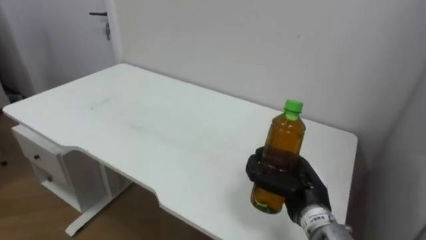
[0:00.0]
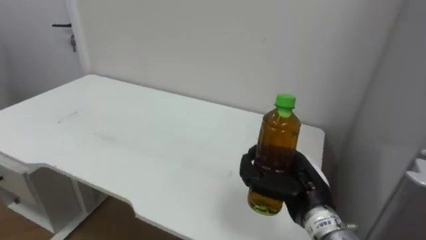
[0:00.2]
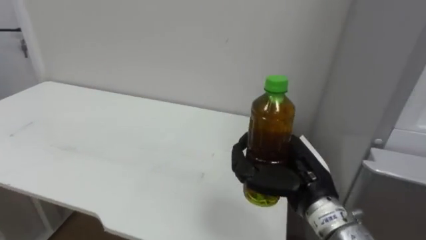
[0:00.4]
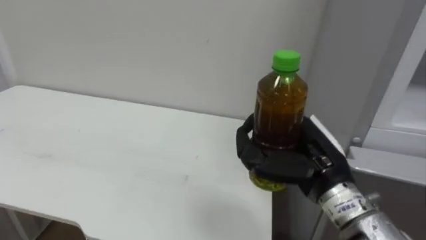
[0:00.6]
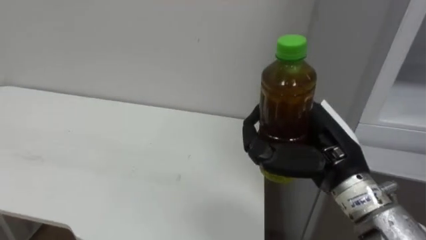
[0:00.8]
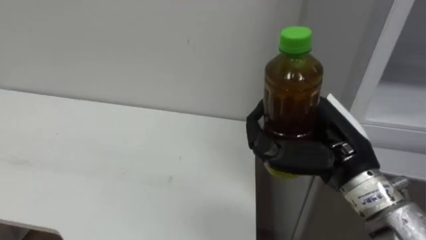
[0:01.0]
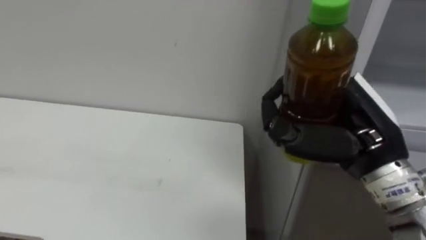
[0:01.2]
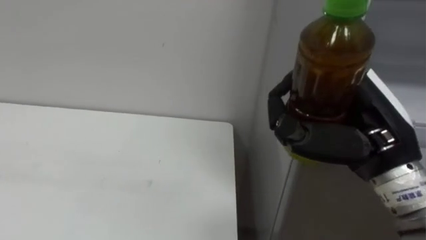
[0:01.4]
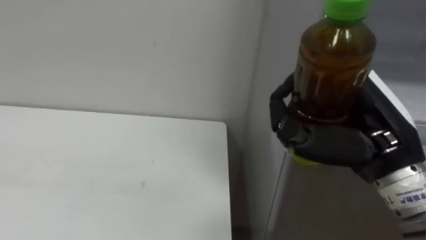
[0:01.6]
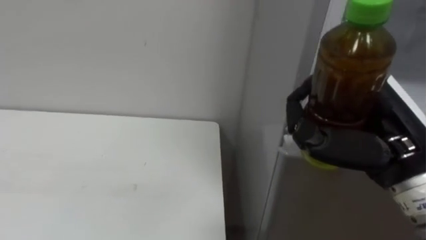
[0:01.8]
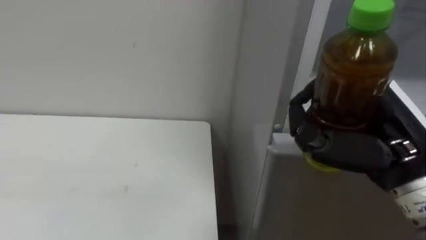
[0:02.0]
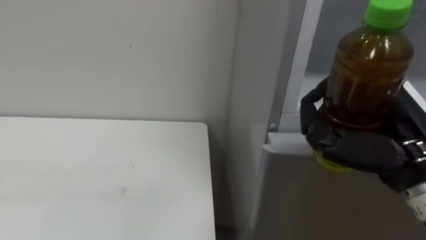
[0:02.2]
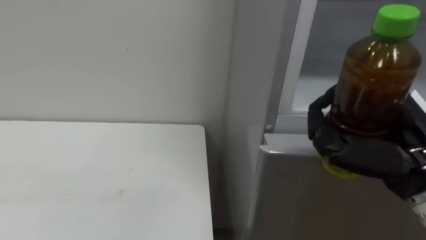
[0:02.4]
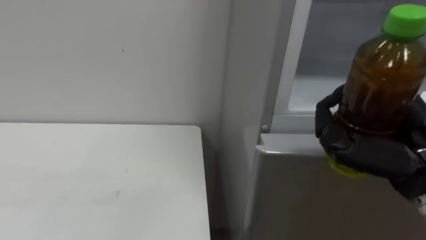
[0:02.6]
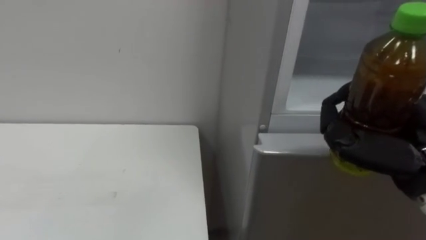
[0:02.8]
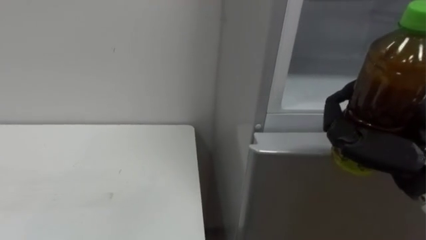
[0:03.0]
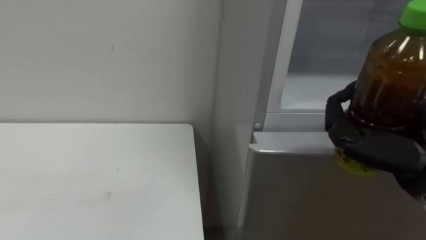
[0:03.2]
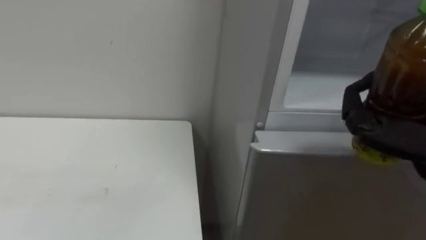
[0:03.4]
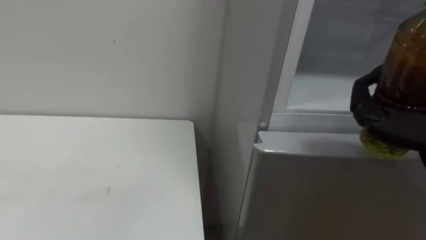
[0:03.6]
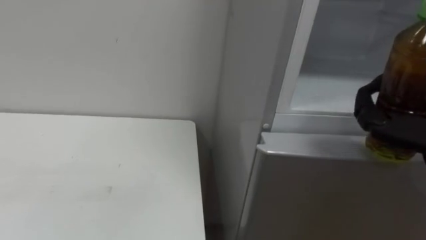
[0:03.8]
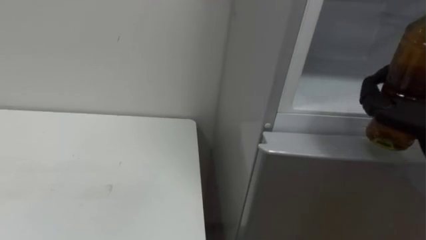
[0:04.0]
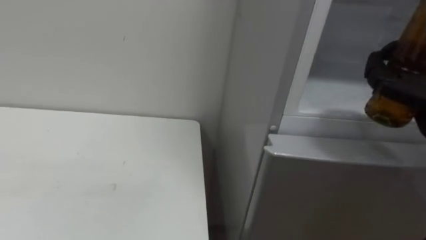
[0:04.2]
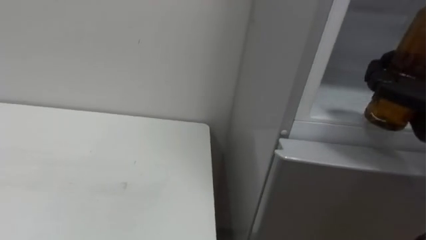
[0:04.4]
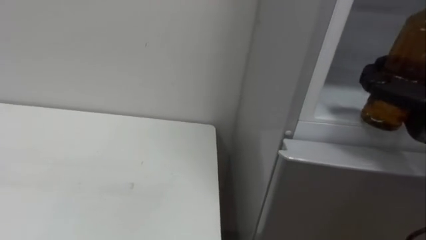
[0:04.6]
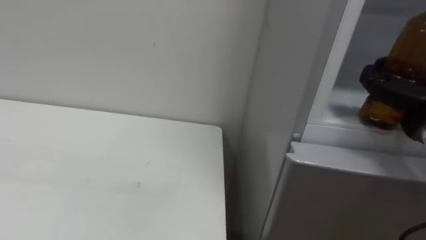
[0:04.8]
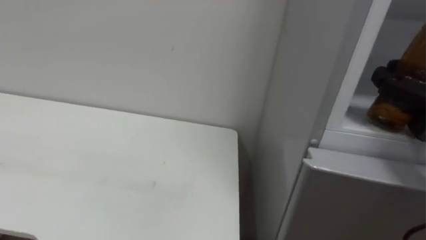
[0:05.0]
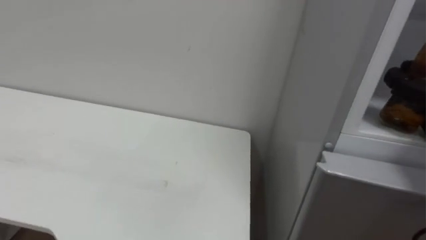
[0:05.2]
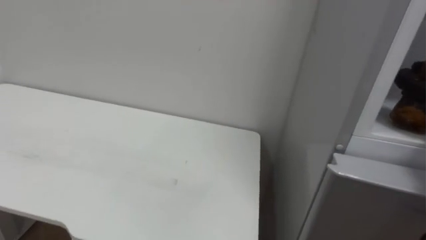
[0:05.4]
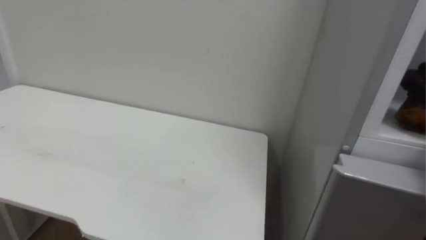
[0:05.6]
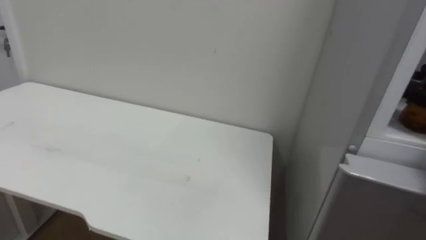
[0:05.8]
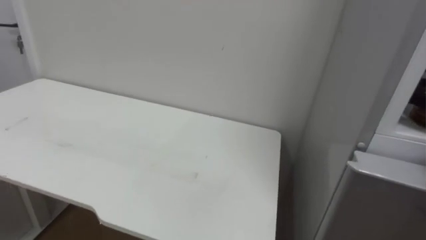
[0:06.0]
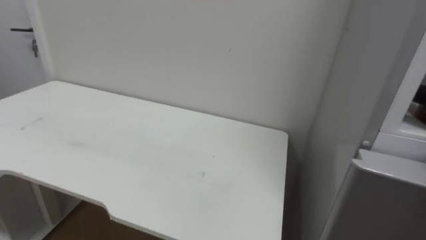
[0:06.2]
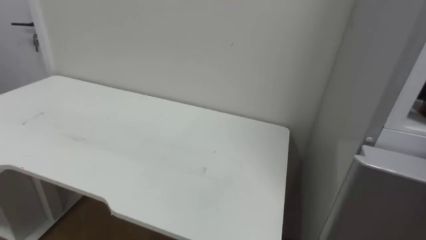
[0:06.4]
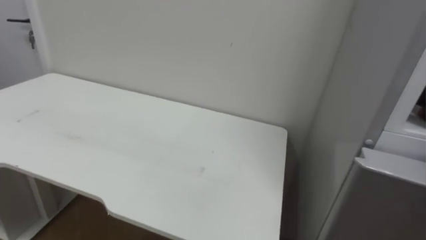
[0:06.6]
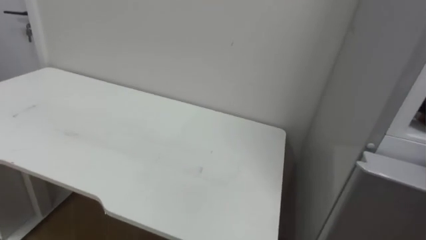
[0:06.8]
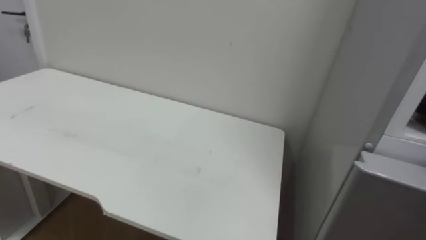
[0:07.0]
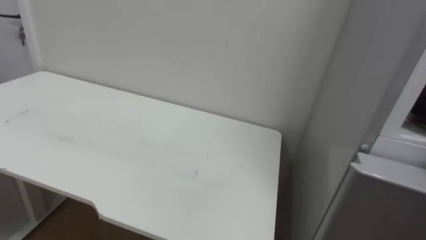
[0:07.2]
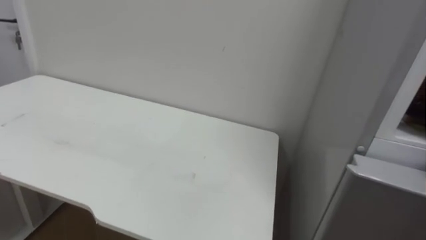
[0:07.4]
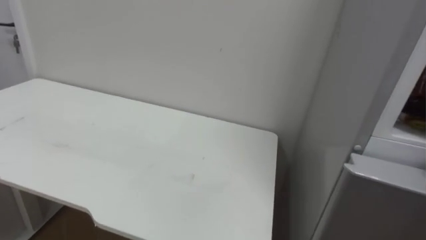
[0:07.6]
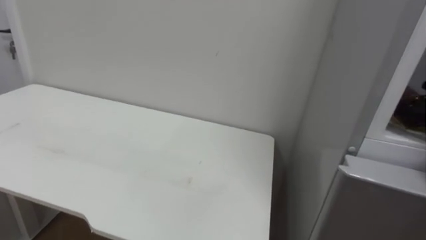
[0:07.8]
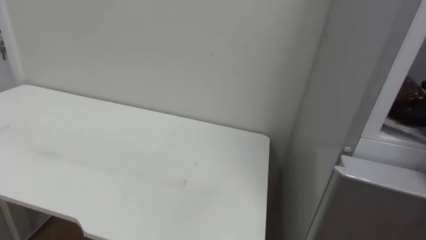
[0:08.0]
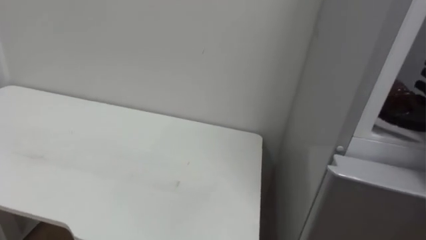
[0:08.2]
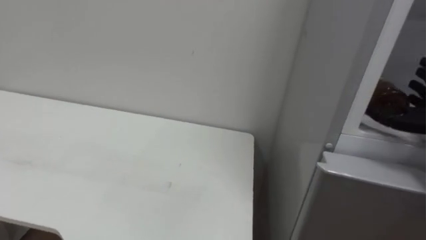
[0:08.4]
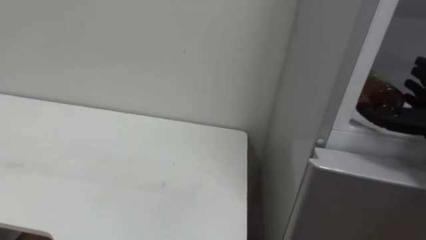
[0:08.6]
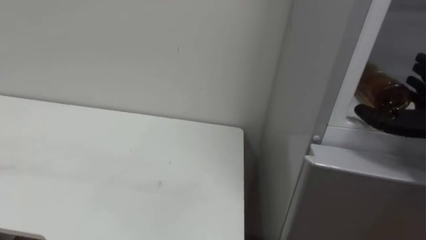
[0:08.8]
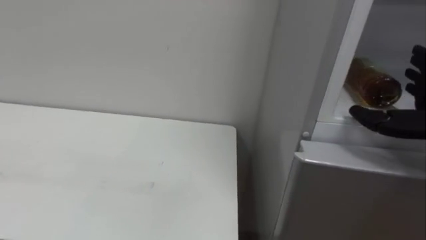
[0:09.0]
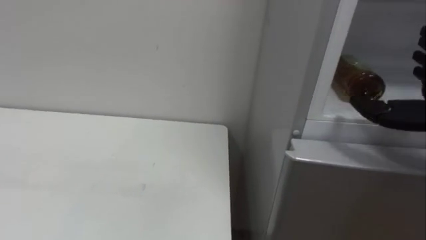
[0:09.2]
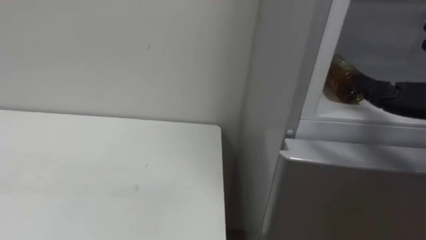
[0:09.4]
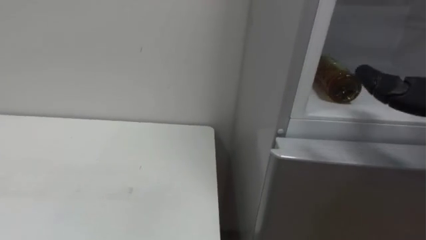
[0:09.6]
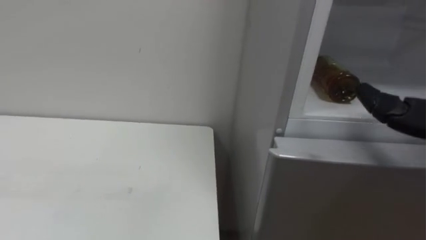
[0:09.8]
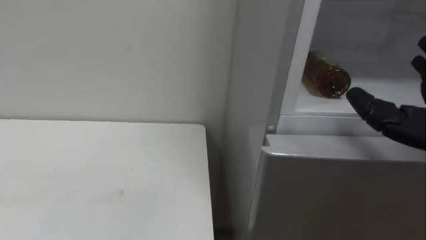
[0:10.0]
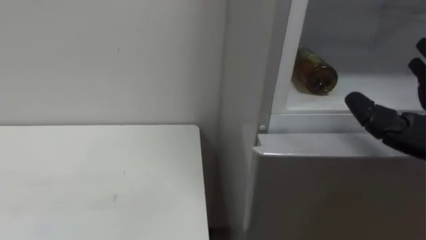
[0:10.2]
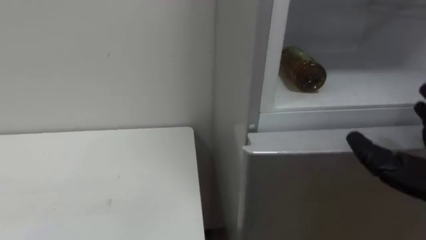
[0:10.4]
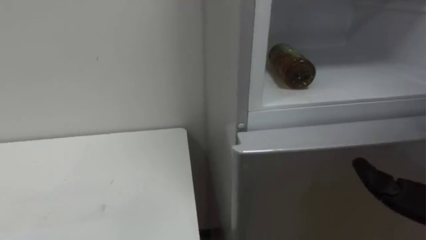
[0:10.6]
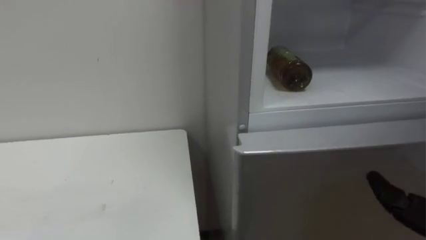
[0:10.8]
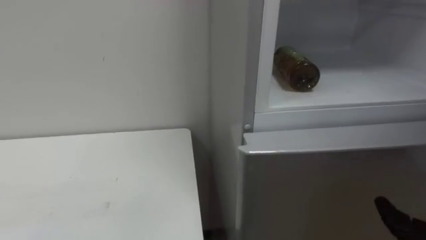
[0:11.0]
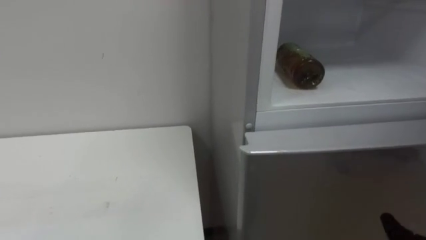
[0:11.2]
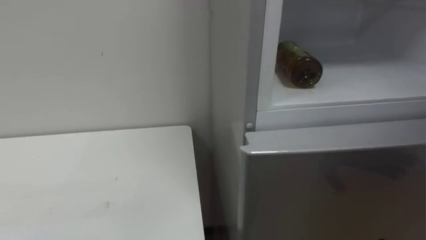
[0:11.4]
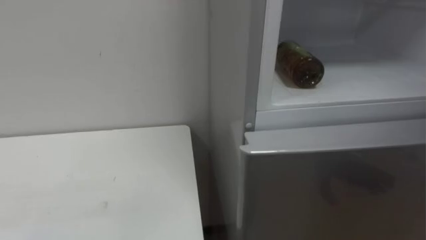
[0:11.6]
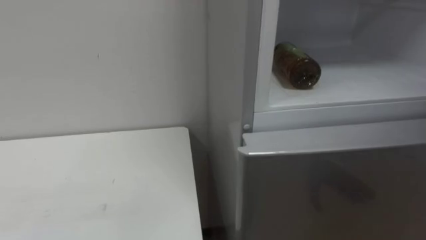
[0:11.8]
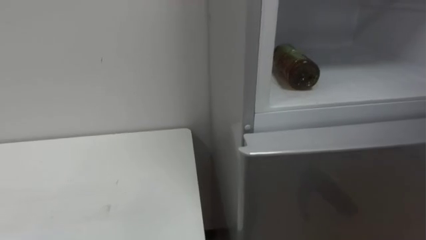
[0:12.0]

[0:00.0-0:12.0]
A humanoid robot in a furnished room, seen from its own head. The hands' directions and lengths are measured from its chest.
Task of the whole recording: Open the upper refrigerator door, put the drink from the table into the refrigerator, and then close the refrigerator door.
0:00.0 to 0:01.6: The right hand heads upward and backward, covering roughly 20 cm.
0:01.6 to 0:03.0: The right hand is displaced to the right by approximately 5 cm.

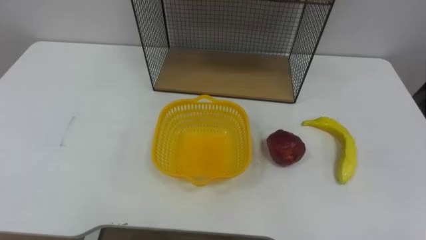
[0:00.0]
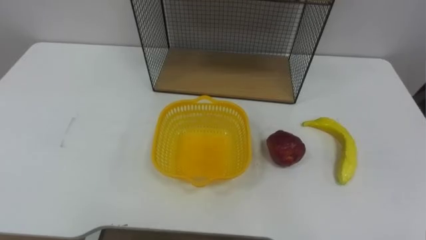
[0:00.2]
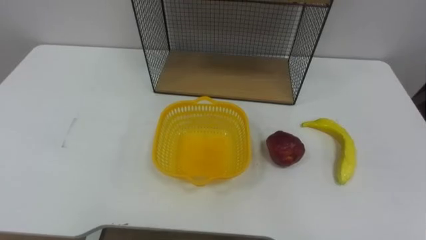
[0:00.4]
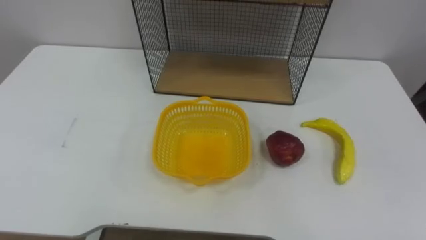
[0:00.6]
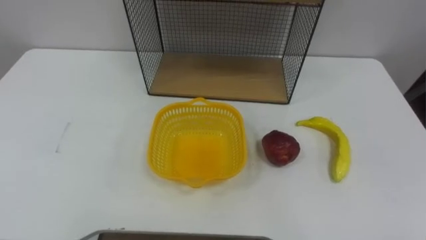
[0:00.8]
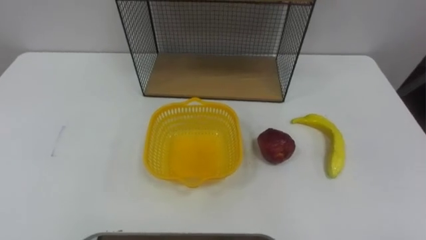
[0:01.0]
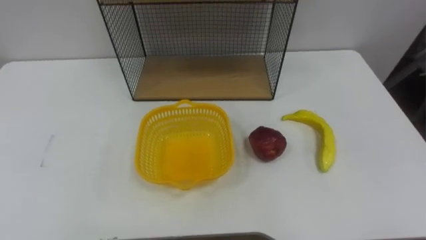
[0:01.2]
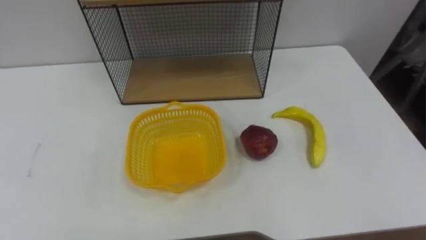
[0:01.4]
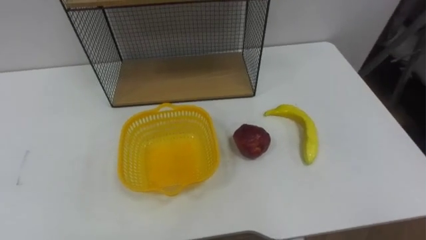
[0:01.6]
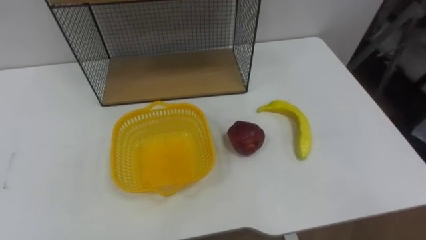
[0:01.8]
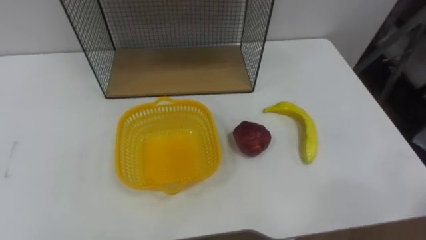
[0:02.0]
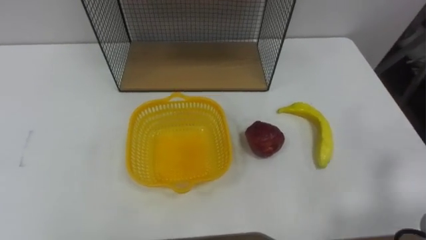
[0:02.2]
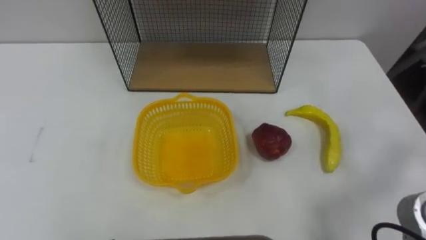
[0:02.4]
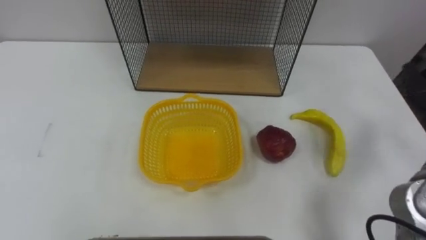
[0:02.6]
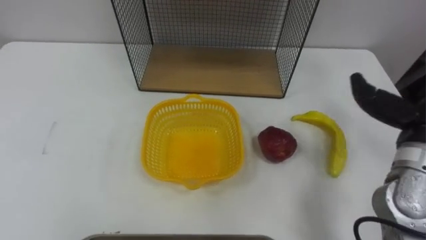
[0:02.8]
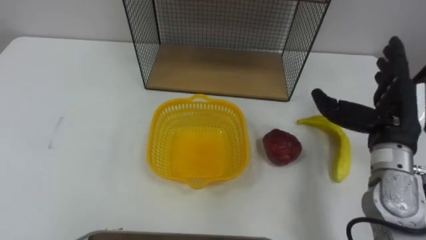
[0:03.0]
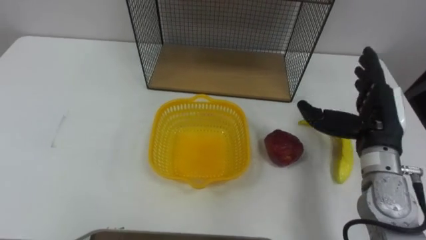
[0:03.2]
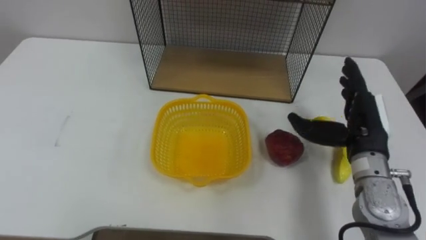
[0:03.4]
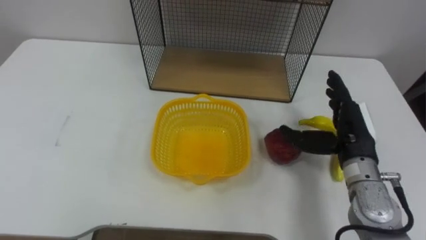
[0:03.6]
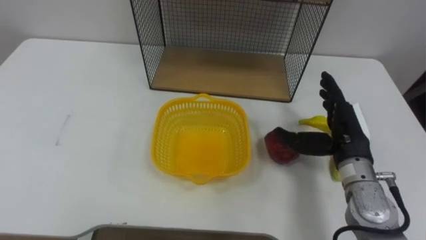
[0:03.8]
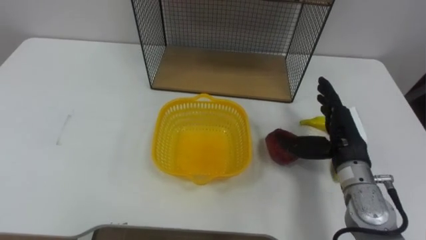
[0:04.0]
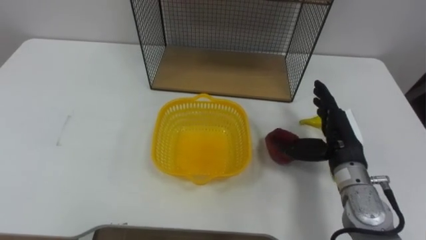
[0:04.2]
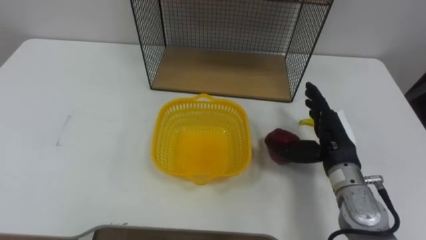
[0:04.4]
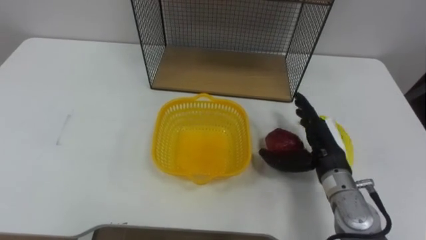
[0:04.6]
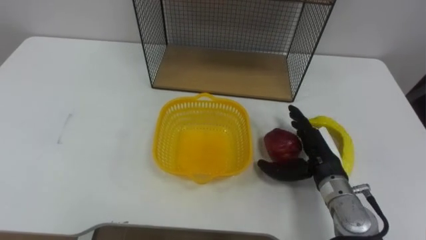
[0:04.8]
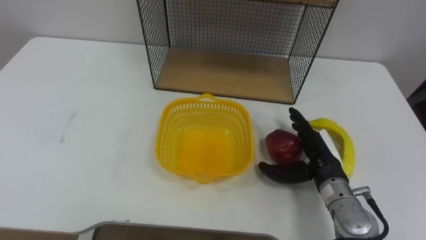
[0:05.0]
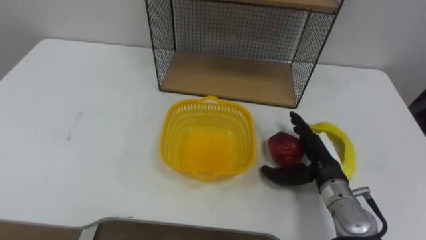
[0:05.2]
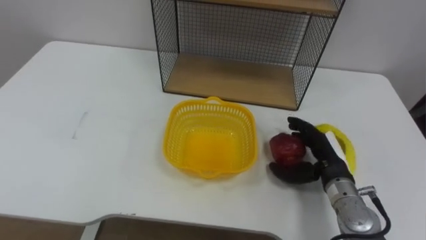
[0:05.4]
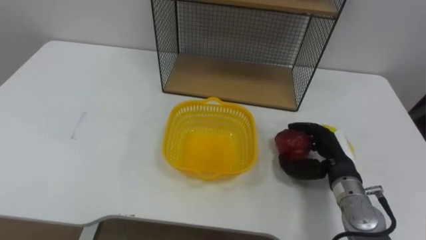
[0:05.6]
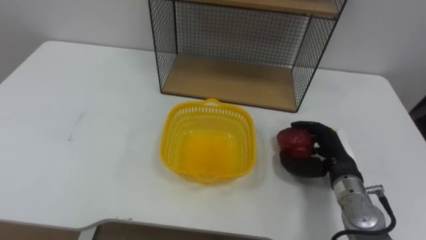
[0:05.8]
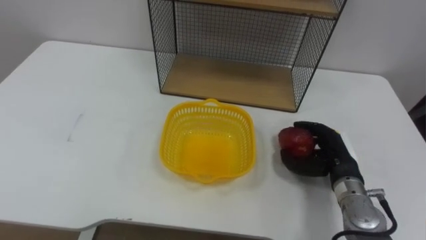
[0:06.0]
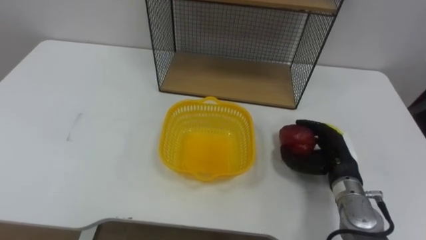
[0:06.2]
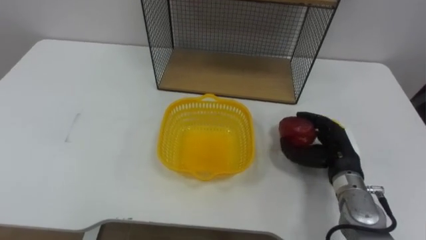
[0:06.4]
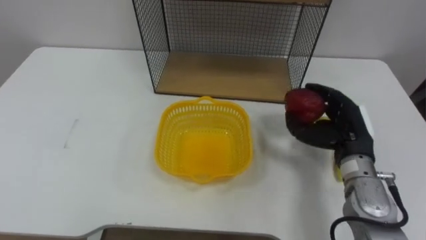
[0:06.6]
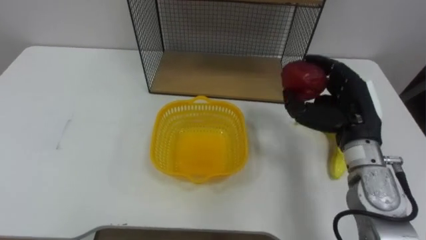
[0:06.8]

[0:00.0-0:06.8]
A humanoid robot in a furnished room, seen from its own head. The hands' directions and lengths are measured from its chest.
Task of the whole recording: Put the fruit on the table into the basket, then place the basket on the shelf.
0:04.0 to 0:05.4: The right hand is displaced downward by about 5 cm.
0:05.4 to 0:06.8: The right hand is displaced upward by some 10 cm, and closes.
